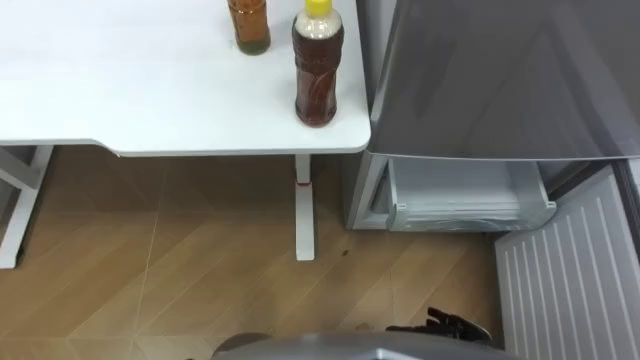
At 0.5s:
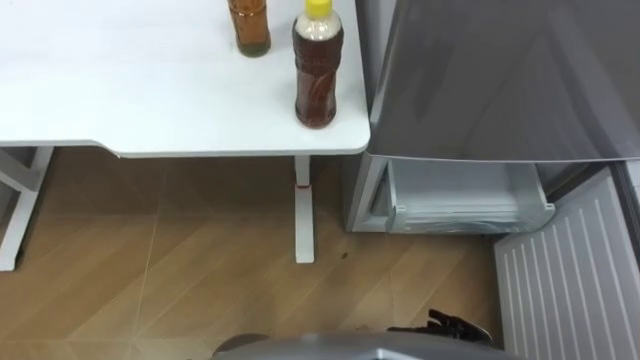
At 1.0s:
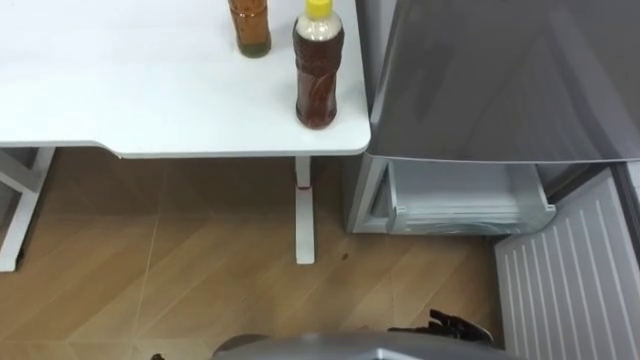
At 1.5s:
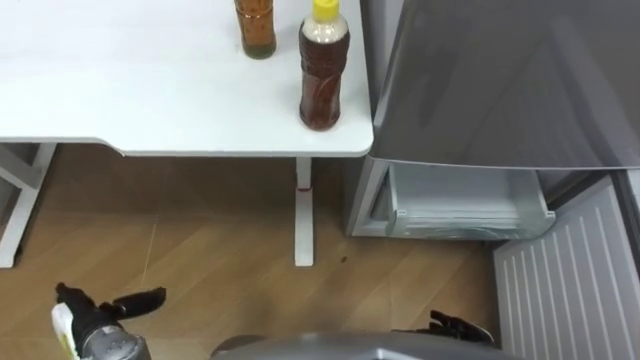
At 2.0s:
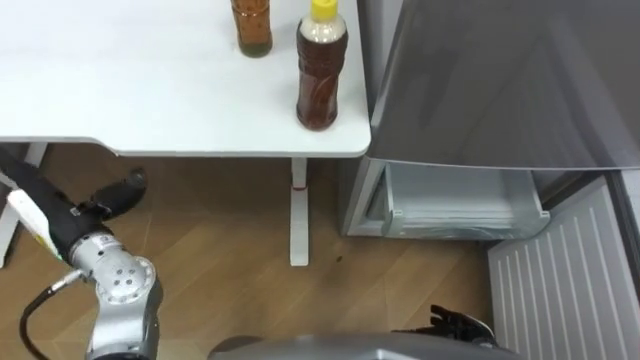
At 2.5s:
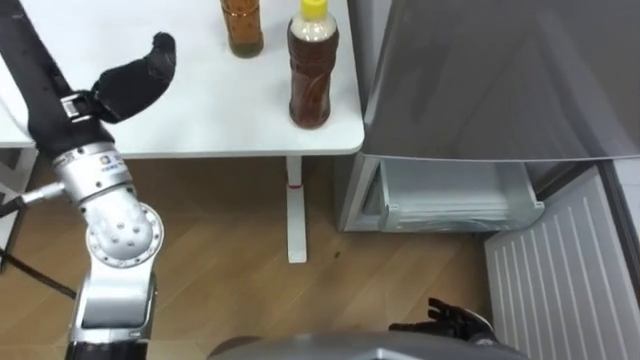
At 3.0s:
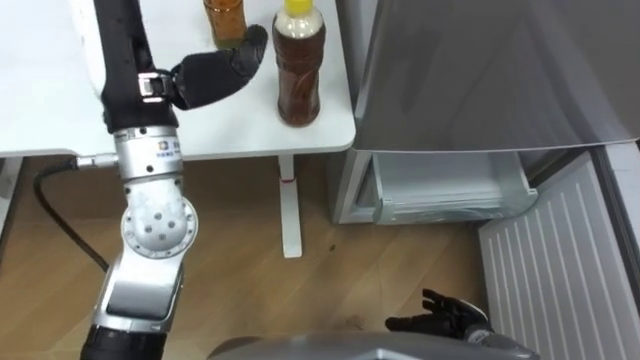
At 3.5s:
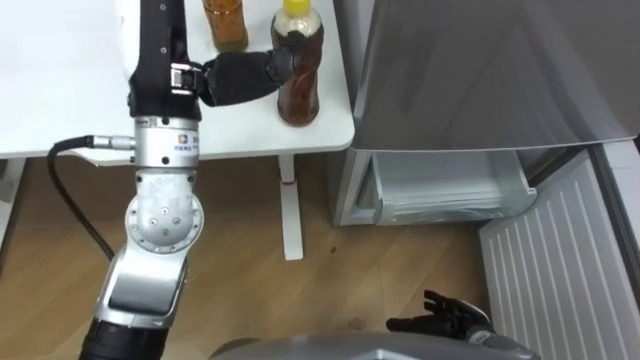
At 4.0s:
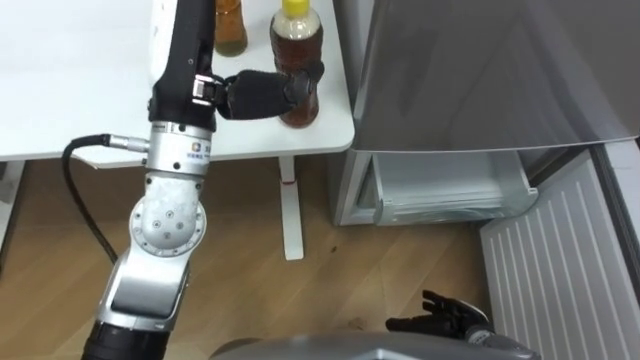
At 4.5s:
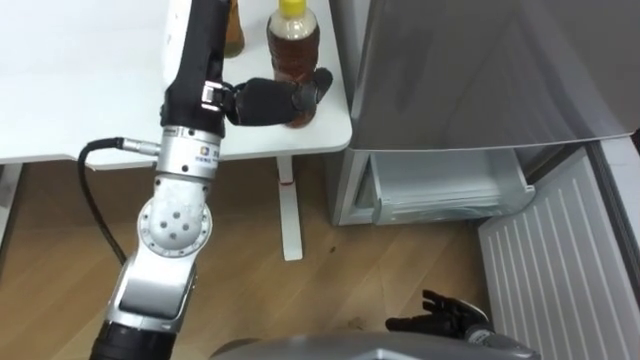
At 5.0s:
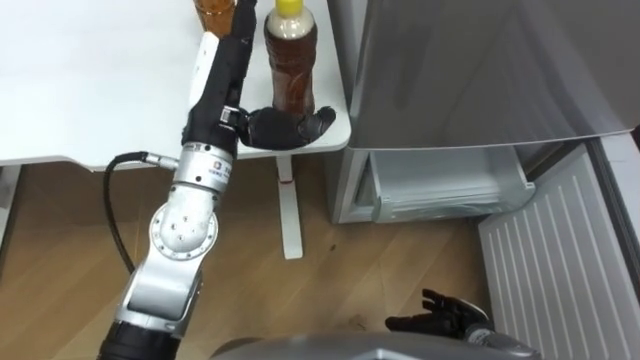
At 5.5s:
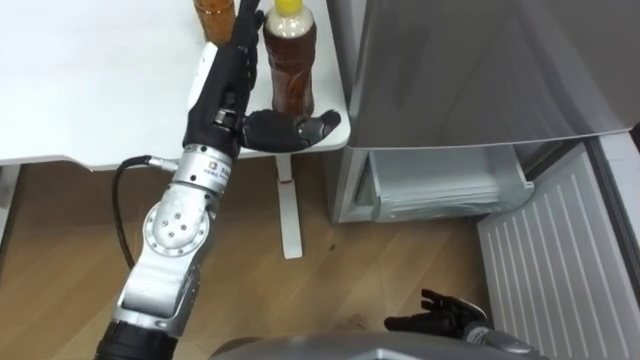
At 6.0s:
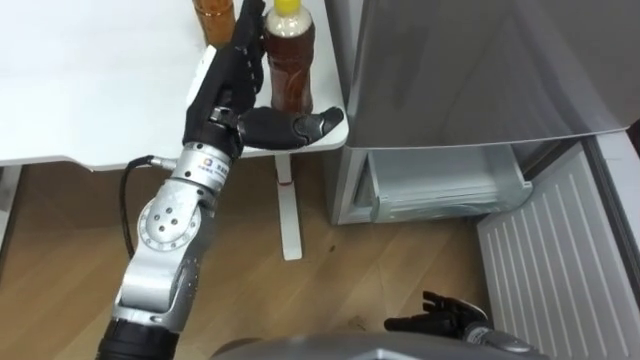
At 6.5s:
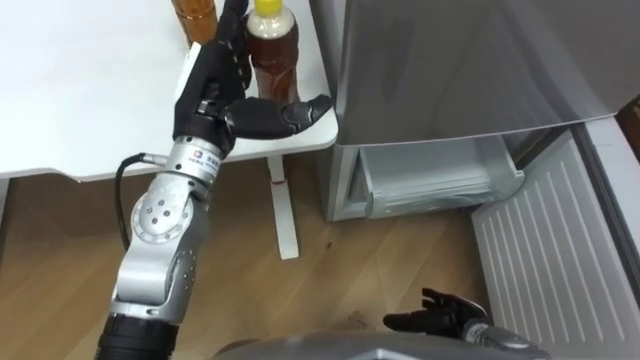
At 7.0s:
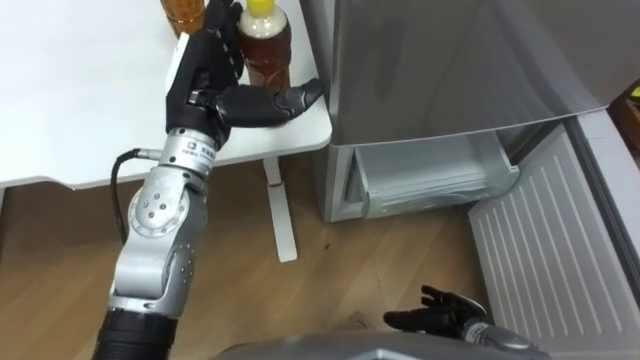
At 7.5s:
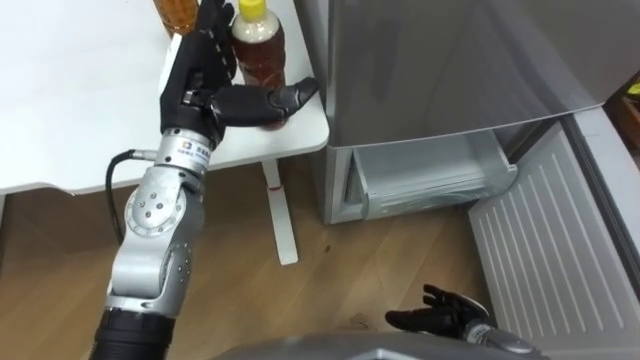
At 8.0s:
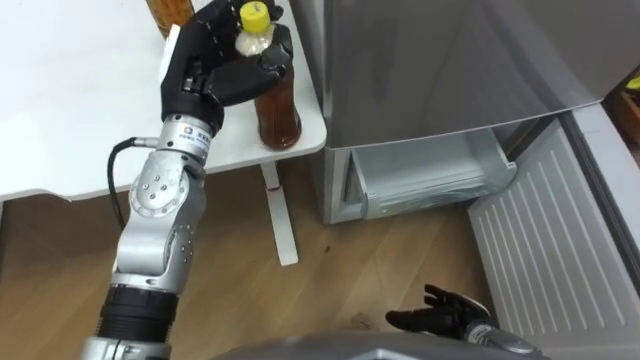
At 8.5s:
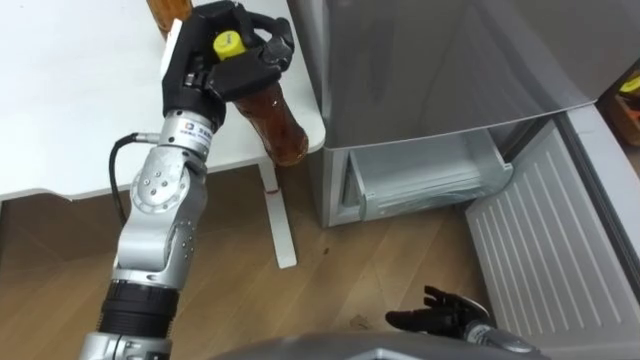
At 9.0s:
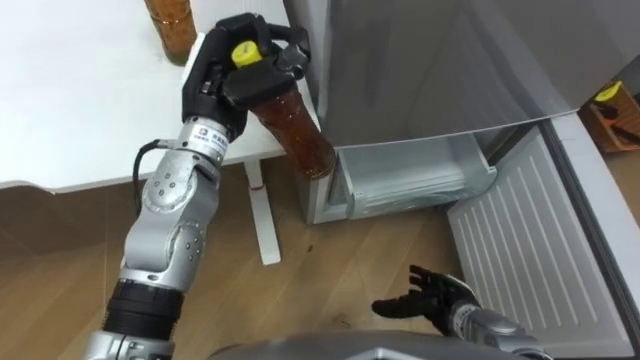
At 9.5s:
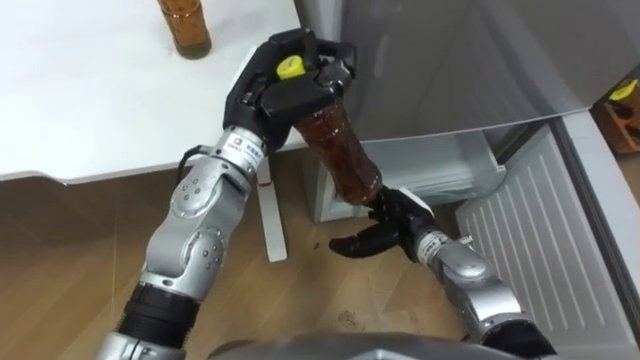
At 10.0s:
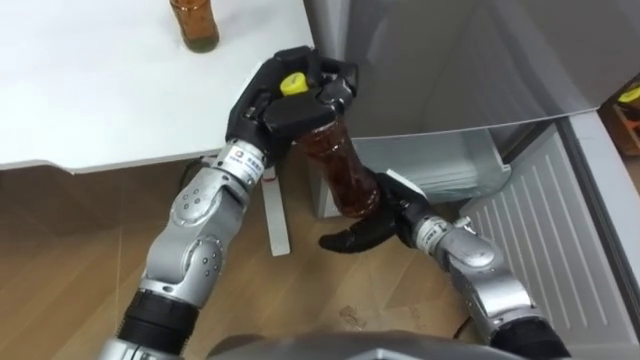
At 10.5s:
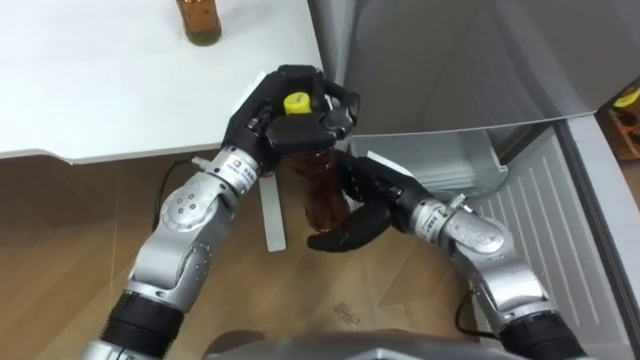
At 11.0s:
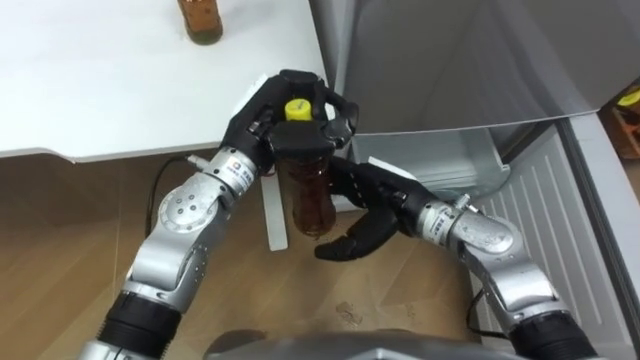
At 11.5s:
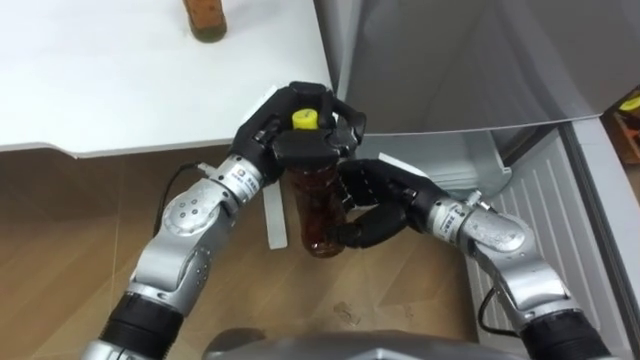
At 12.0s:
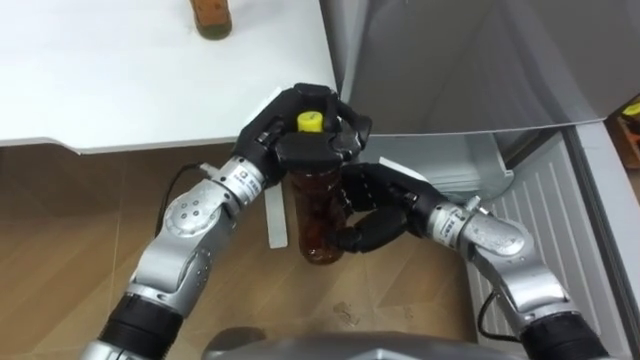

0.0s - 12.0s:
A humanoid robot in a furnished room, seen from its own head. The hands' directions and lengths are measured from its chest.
Task of the whole recording: Place the drink on the table on the bottom shelf of the refrigerator, then close the drawer and the refrigerator door.
2.0s - 4.0s: The left hand travels upward, to the right and forward by about 30 cm.
4.0s - 6.0s: The left hand moves downward, roughly 10 cm.
6.0s - 8.0s: The left hand closes.
8.0s - 10.0s: The right hand is displaced forward, upward and to the left by roughly 20 cm; the left hand is displaced to the right by about 10 cm.
10.0s - 12.0s: The right hand closes its fingers.

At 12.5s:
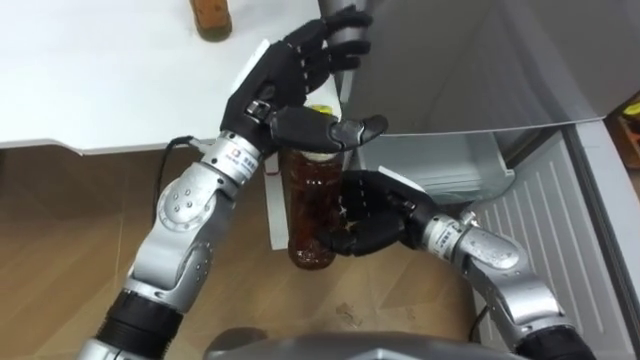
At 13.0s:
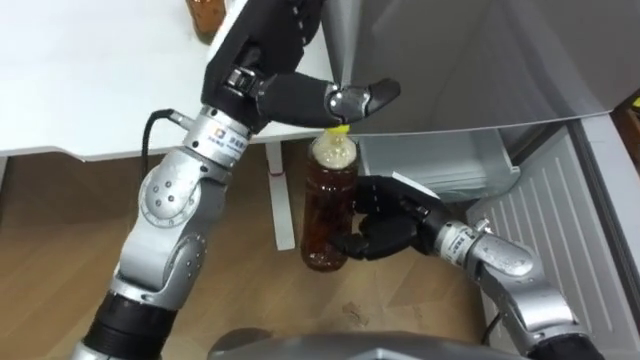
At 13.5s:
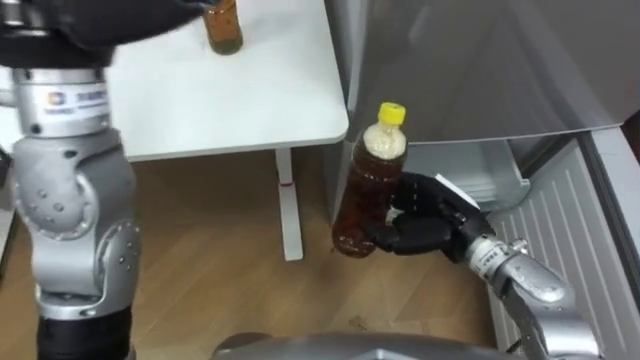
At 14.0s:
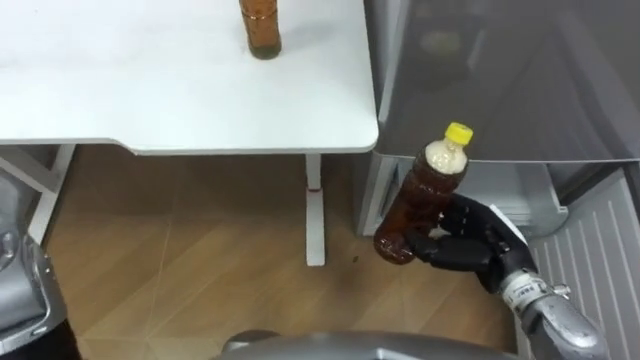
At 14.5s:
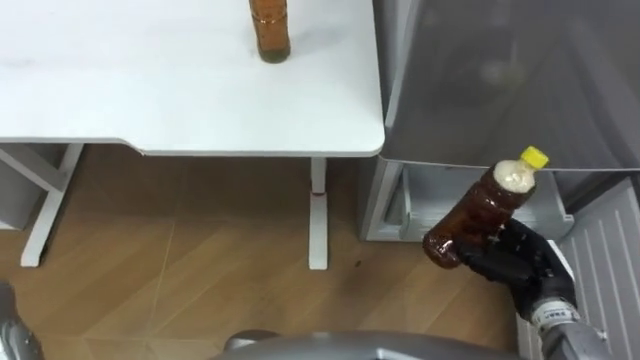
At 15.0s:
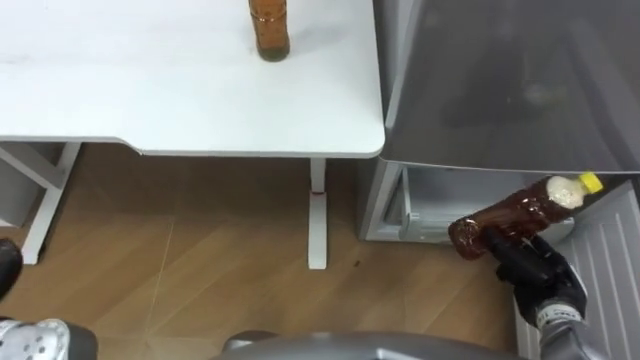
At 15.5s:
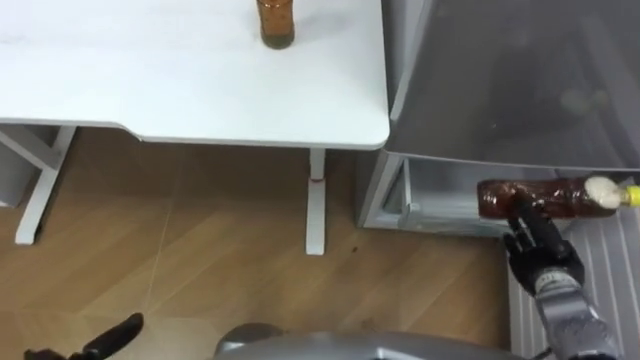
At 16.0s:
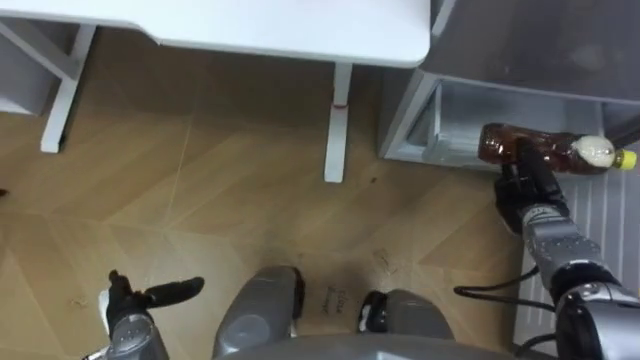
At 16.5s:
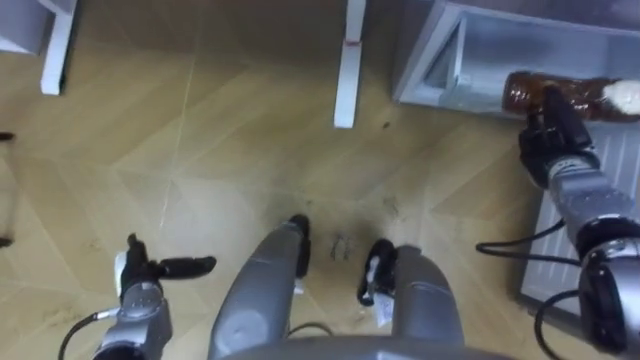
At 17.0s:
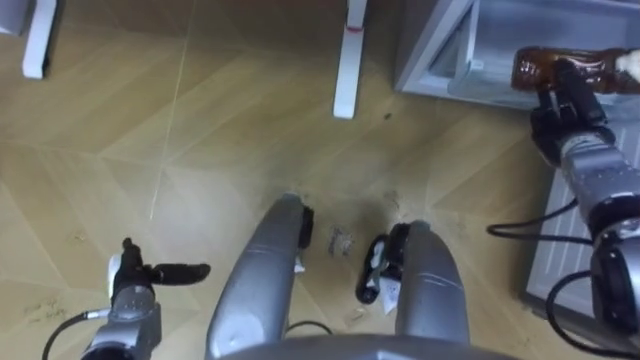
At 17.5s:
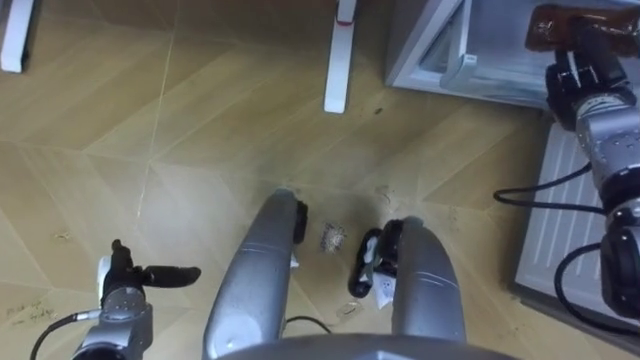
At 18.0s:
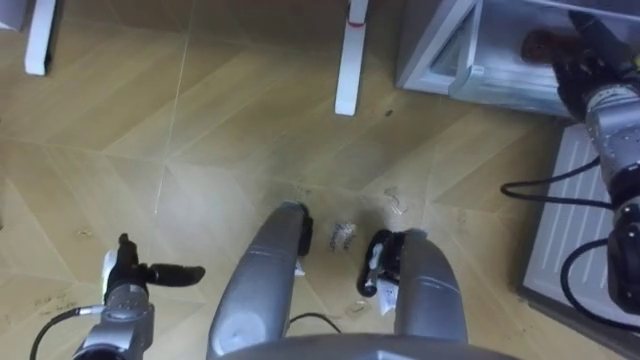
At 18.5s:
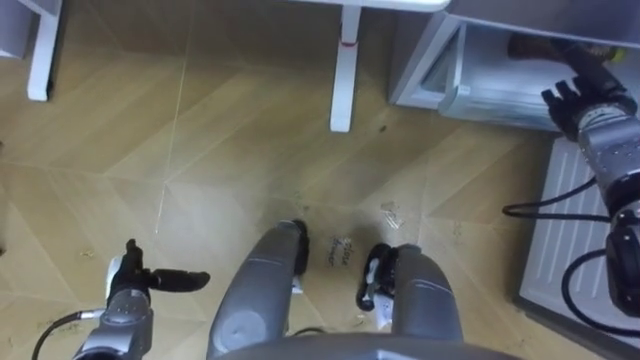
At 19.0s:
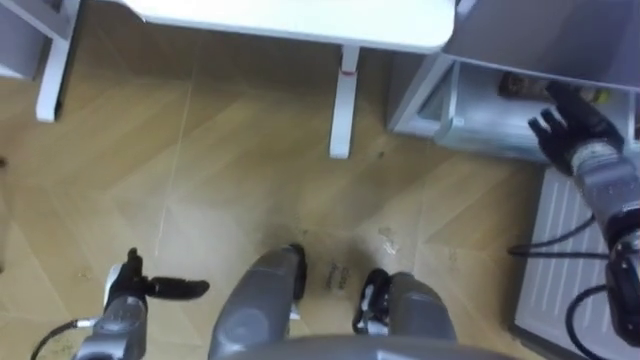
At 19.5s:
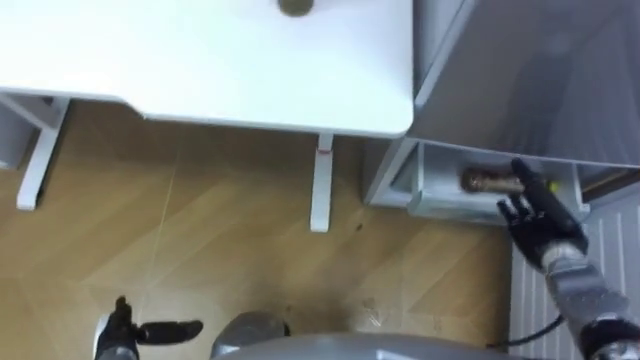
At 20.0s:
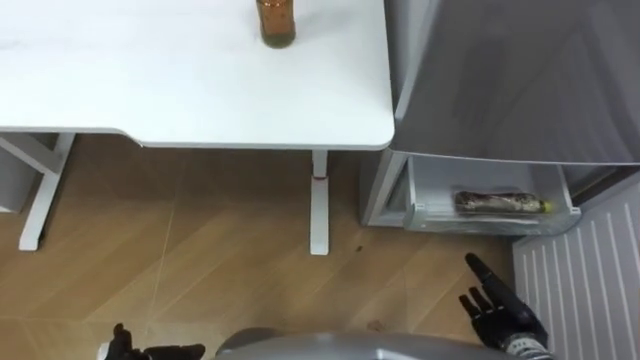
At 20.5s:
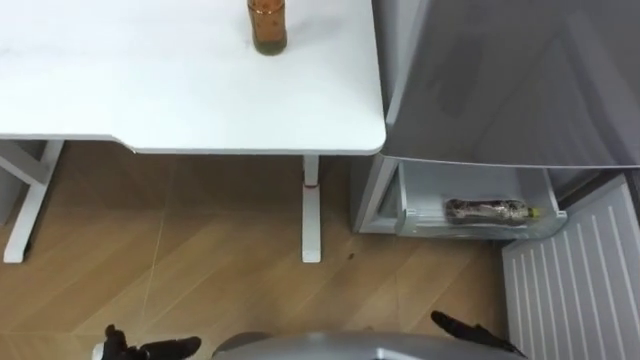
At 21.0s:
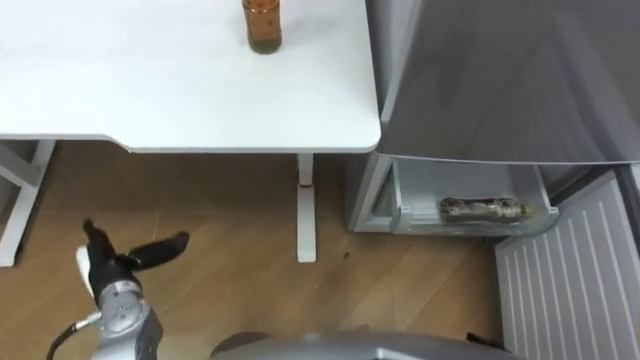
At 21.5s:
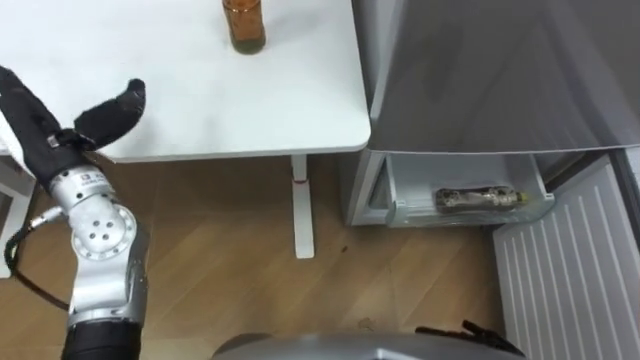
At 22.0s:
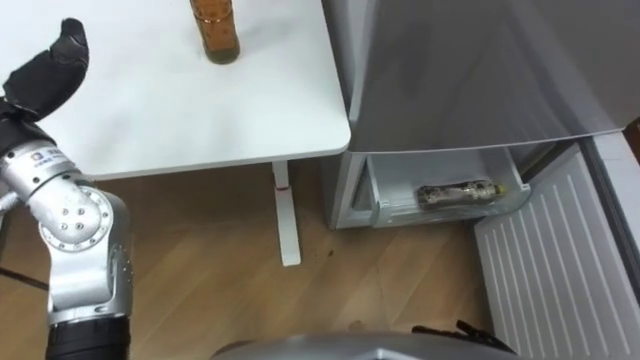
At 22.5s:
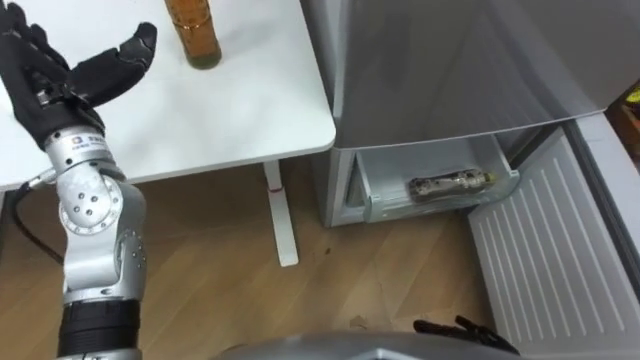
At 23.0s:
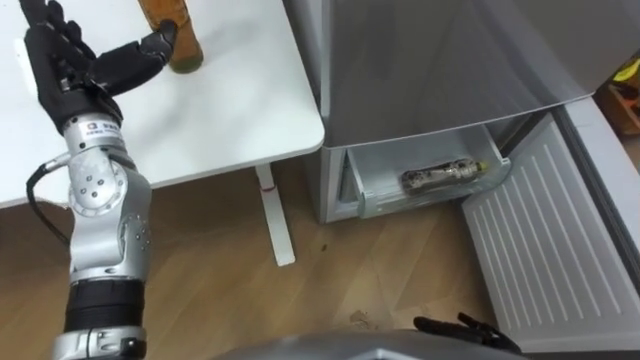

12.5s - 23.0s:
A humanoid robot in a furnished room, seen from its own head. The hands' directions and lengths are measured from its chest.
Task of the whole recording: Place the drink on the table on the bottom shelf of the refrigerator, then close the drawer and the refrigerator door.
12.5s - 14.5s: The right hand shifts roughly 20 cm to the right and backward.
14.5s - 16.5s: The right hand is displaced forward by roughly 15 cm.
16.5s - 19.0s: The right hand goes upward and returns, about 10 cm each way, and opens its fingers.
